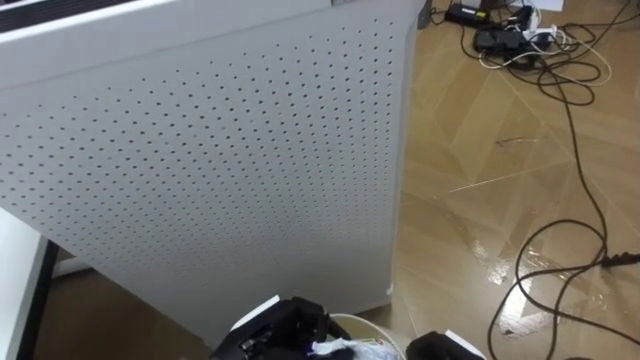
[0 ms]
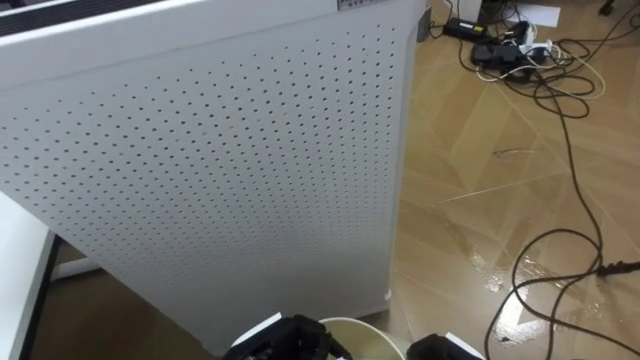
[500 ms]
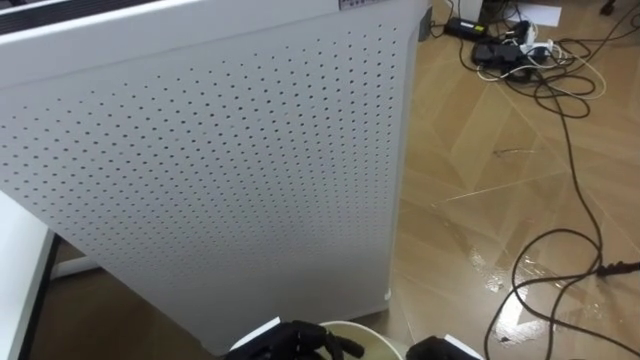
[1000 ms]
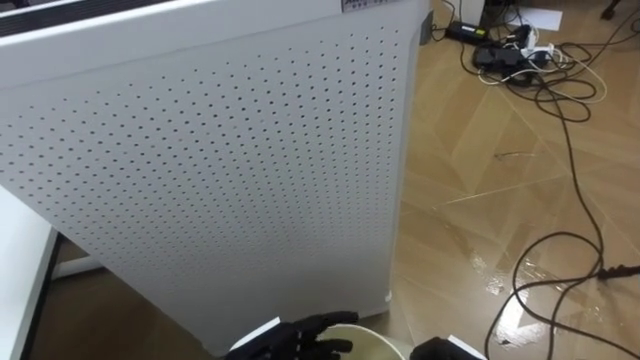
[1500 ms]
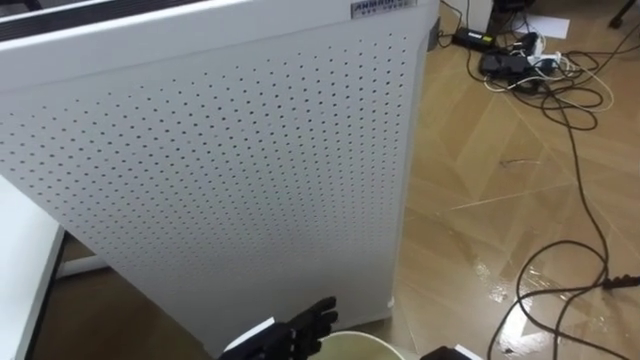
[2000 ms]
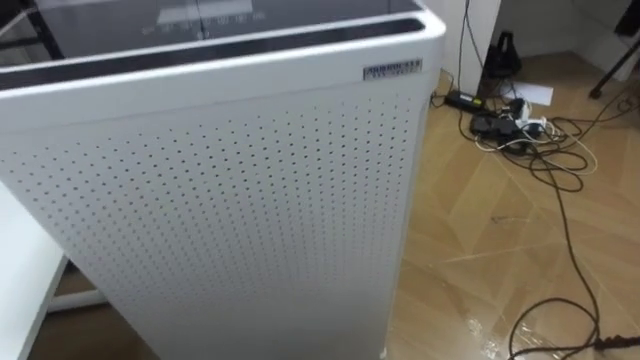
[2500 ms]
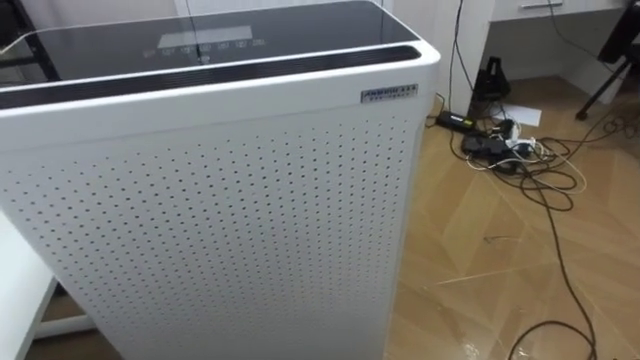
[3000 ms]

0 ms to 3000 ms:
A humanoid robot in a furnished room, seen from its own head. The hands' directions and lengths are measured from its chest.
Task of the whole recording: Pick up the light blue package, the candy box, and the dark blue package separately, and put them into the trash can held in your right hand.
0 ms to 1500 ms: The left hand opens its fingers.

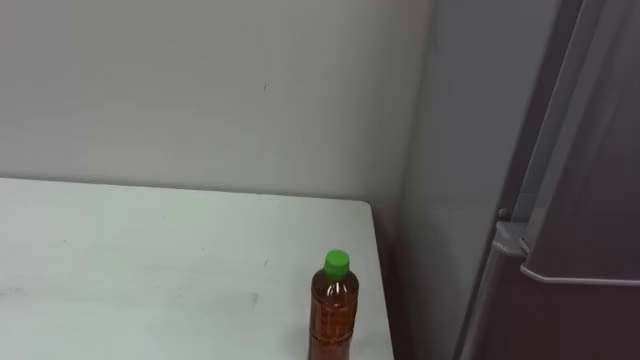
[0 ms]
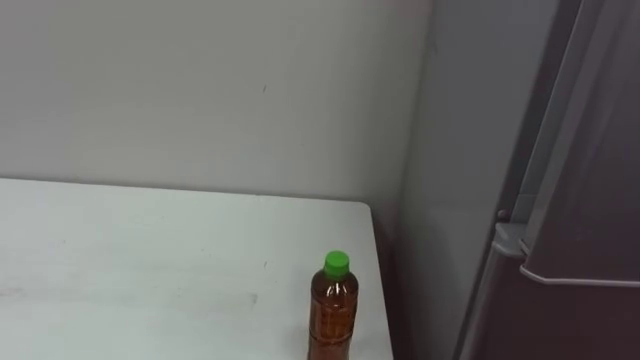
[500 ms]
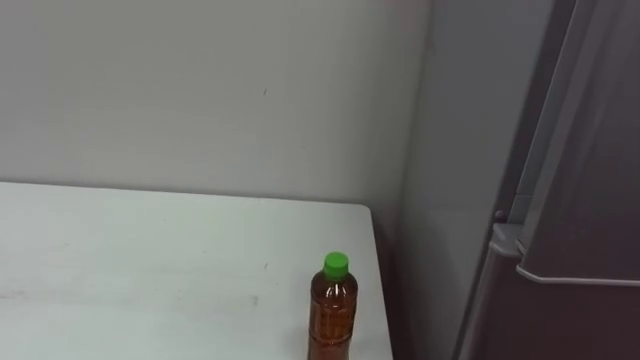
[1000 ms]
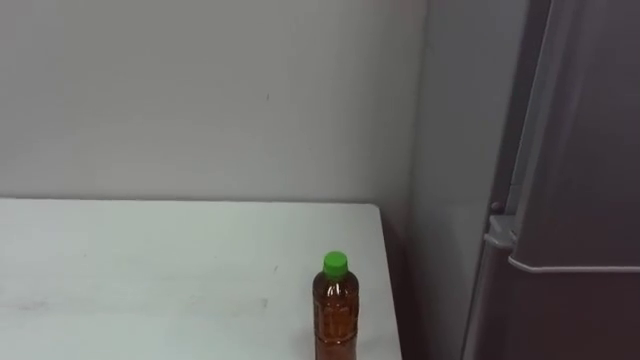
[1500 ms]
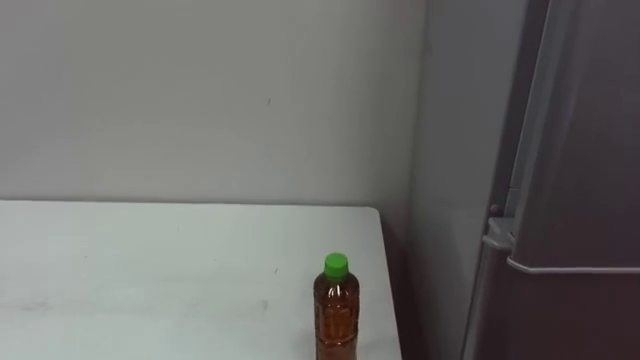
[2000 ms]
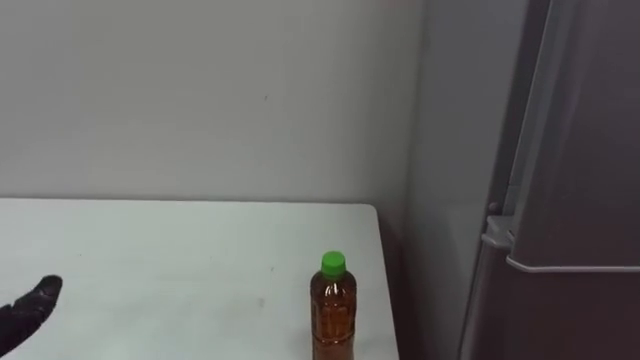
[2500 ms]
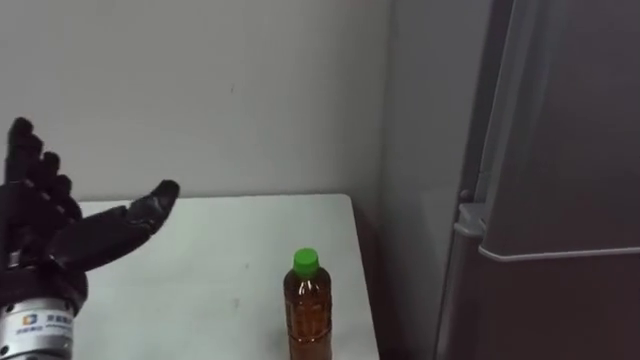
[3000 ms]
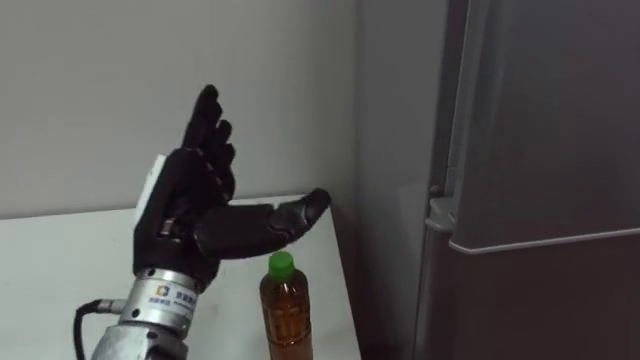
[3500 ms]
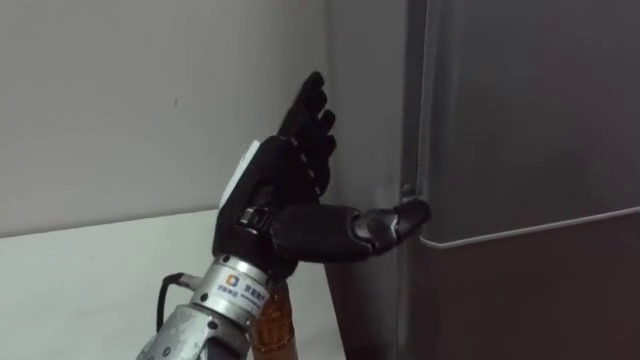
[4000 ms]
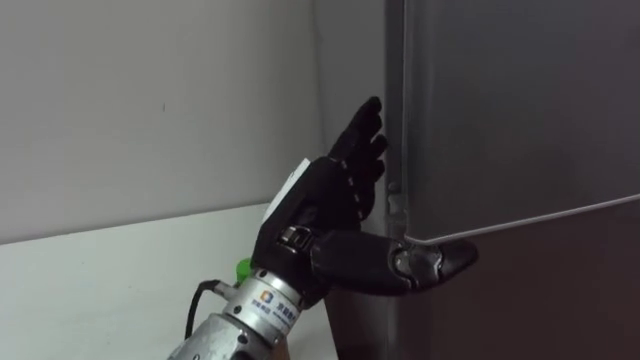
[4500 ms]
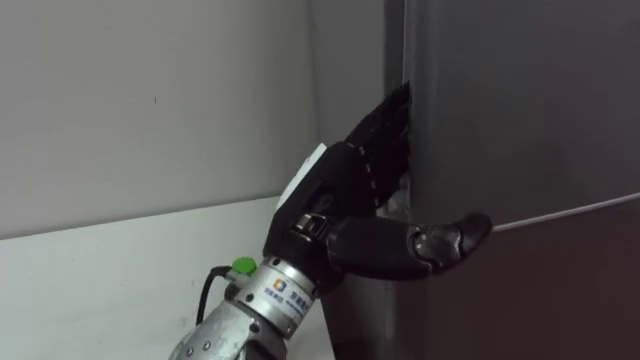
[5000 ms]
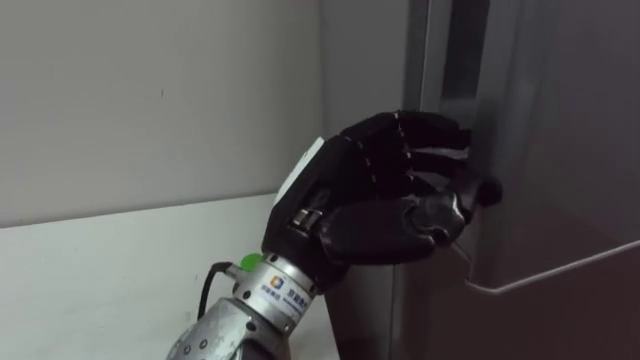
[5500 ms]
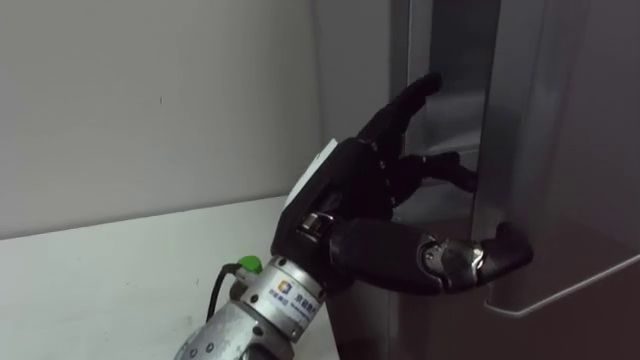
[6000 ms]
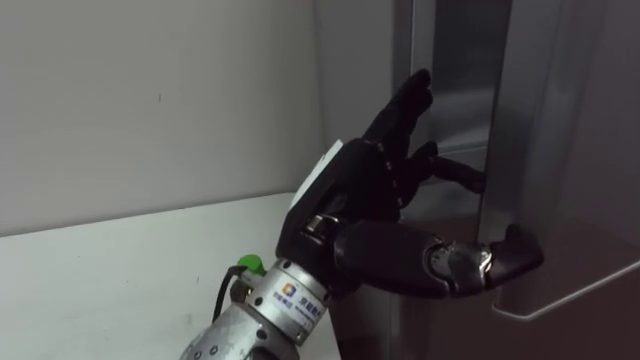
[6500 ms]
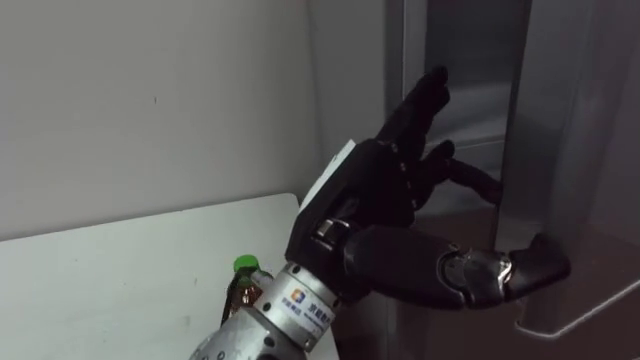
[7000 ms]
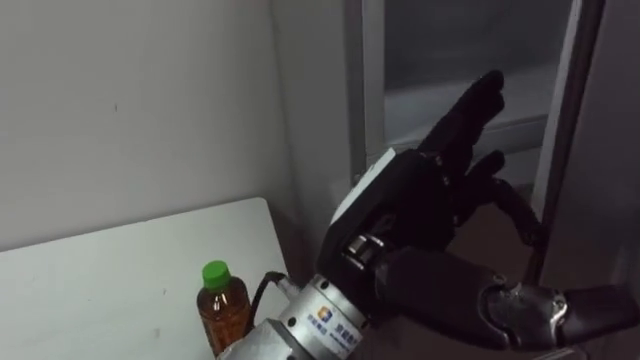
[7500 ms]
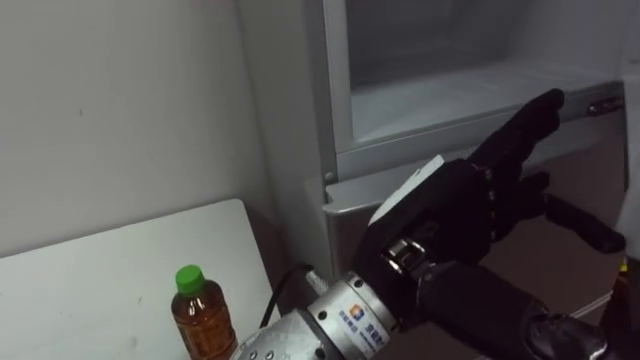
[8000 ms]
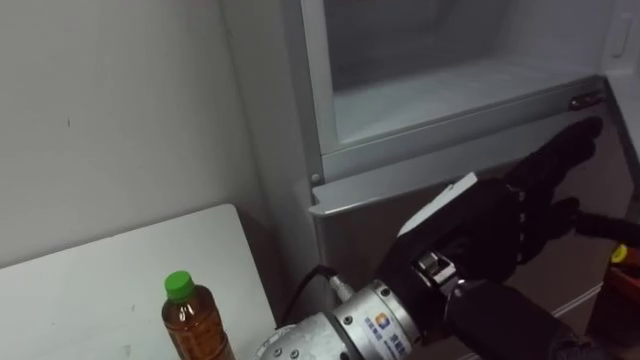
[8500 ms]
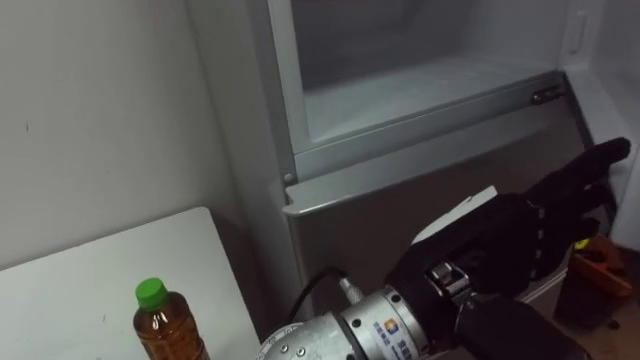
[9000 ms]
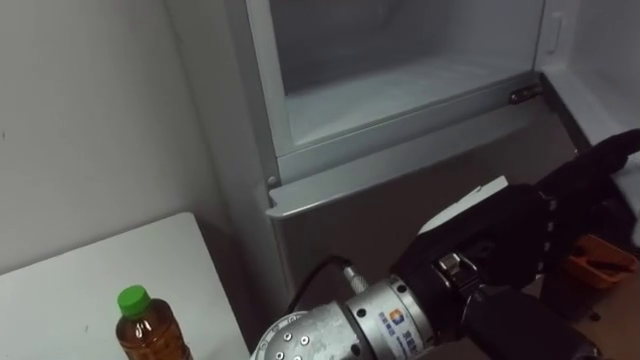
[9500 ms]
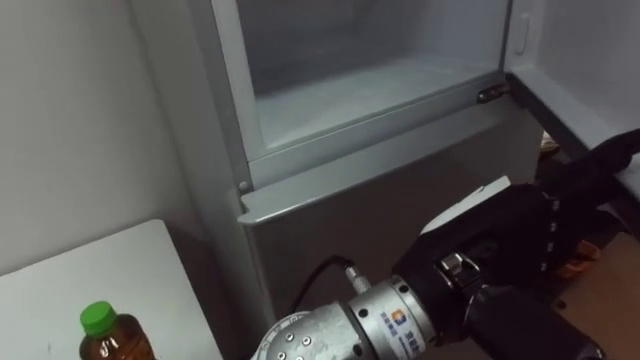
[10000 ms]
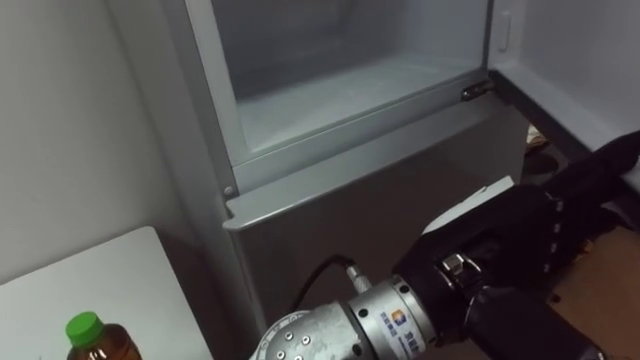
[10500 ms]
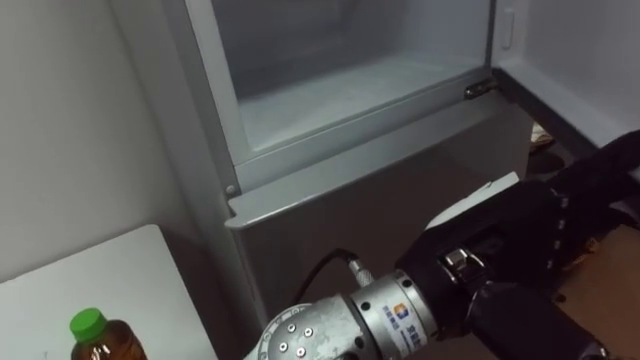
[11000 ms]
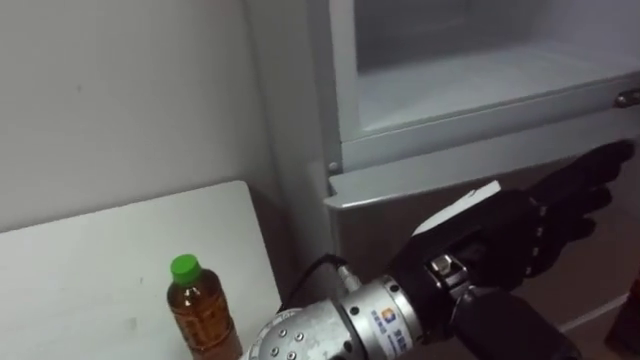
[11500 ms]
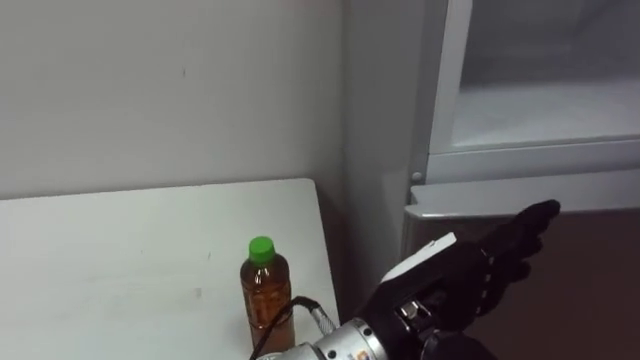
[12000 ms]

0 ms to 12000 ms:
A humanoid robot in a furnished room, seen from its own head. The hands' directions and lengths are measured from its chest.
Task of the whole recording: Open the upper refrigerator door, put the drink from the table into the refrigerator, and then close the refrigerator door.
4000 ms to 6000 ms: The left hand goes some 5 cm to the right, and closes, then reopens.
6000 ms to 8000 ms: The left hand goes some 5 cm to the right.
10000 ms to 12000 ms: The left hand moves downward, approximately 5 cm.

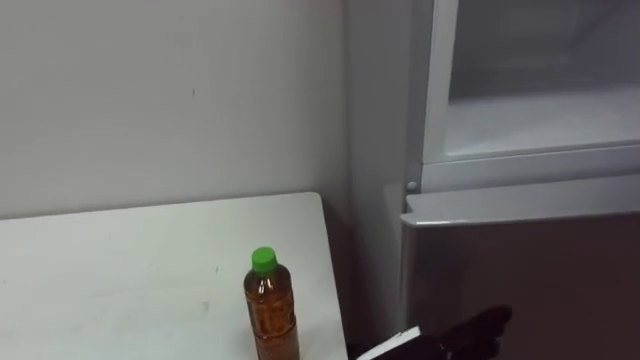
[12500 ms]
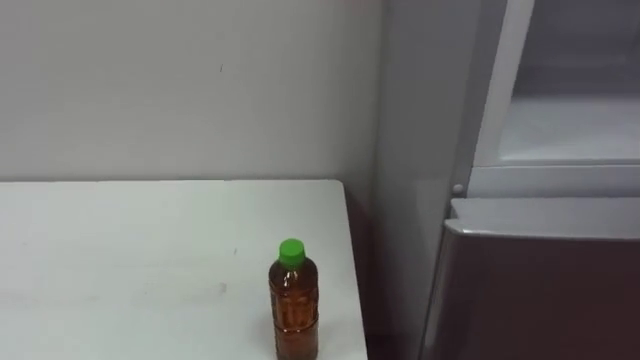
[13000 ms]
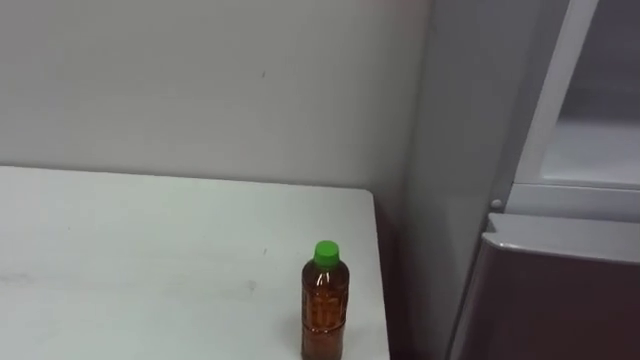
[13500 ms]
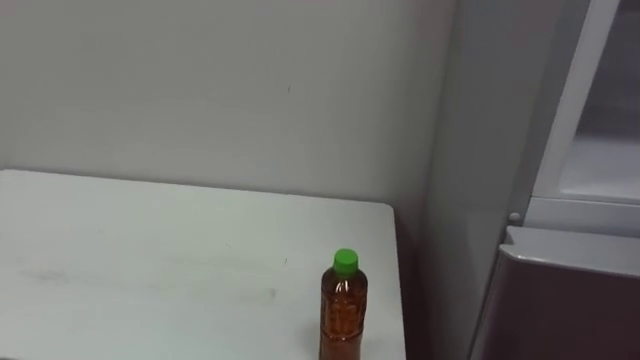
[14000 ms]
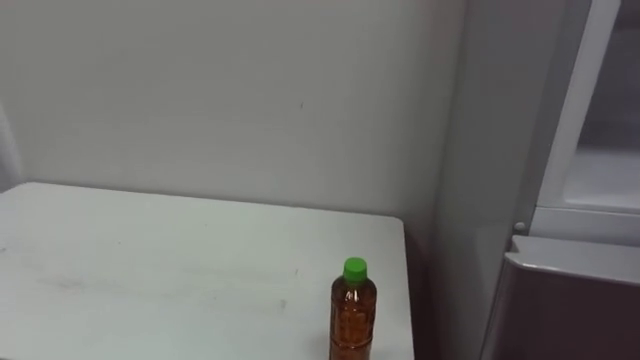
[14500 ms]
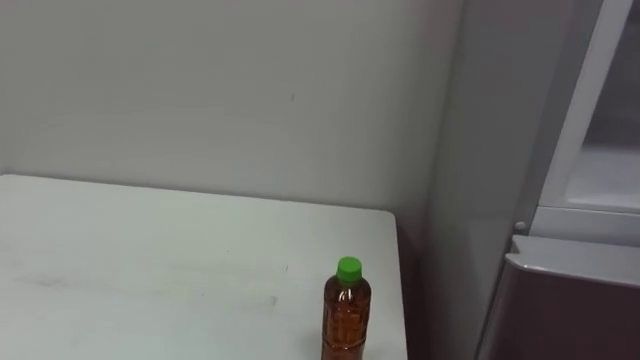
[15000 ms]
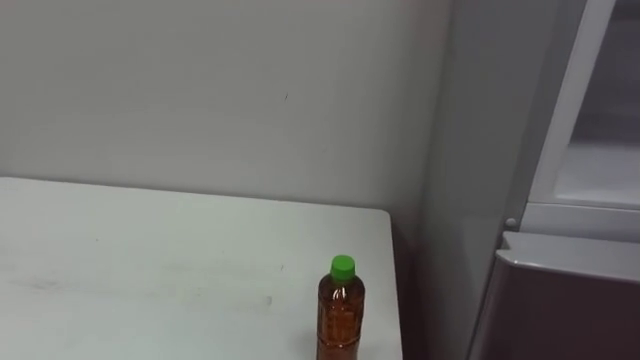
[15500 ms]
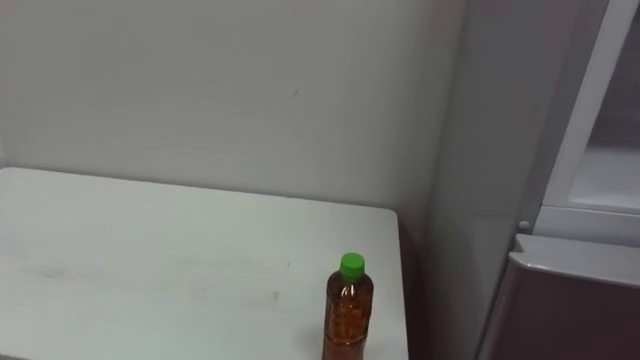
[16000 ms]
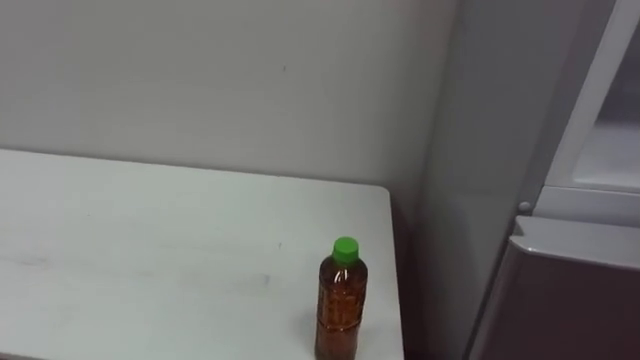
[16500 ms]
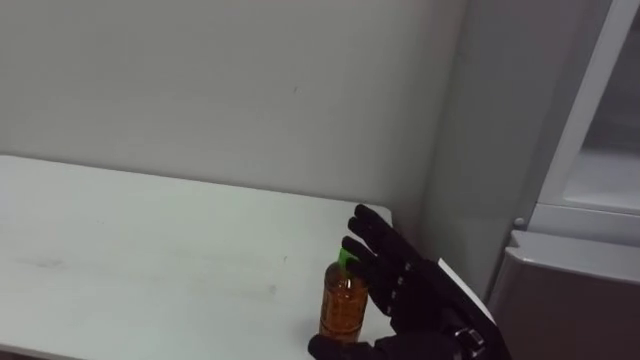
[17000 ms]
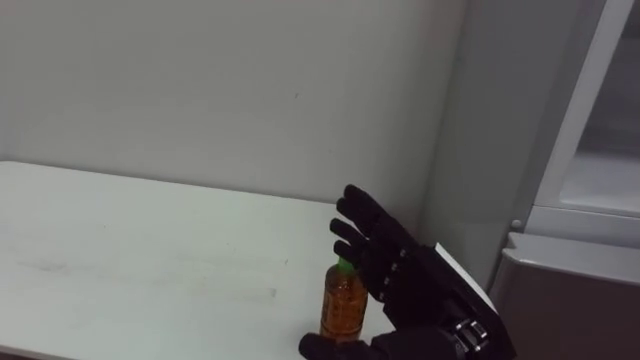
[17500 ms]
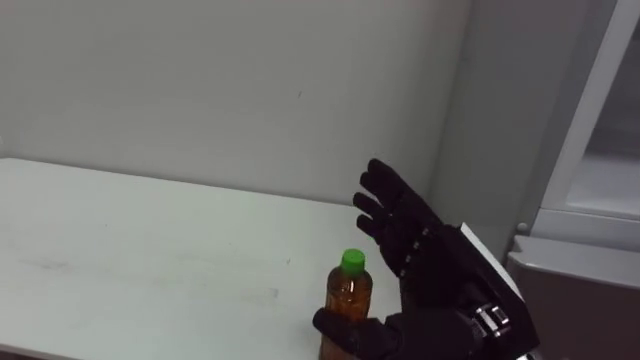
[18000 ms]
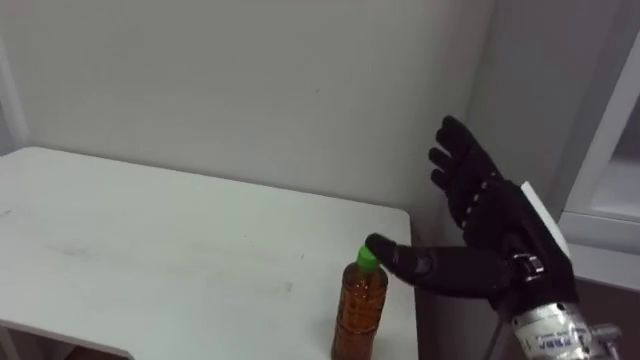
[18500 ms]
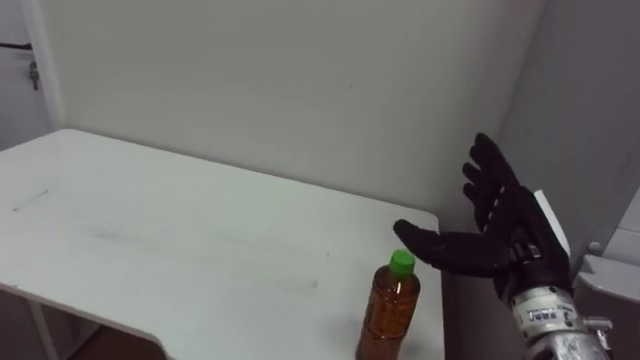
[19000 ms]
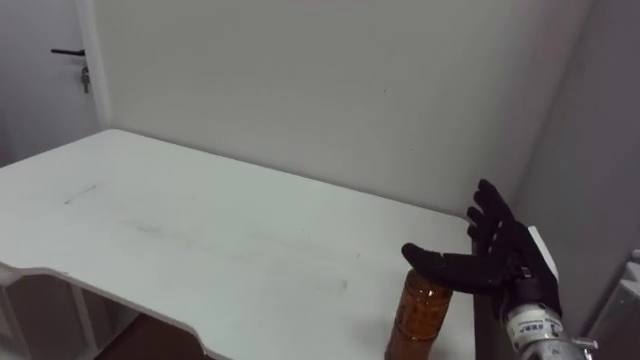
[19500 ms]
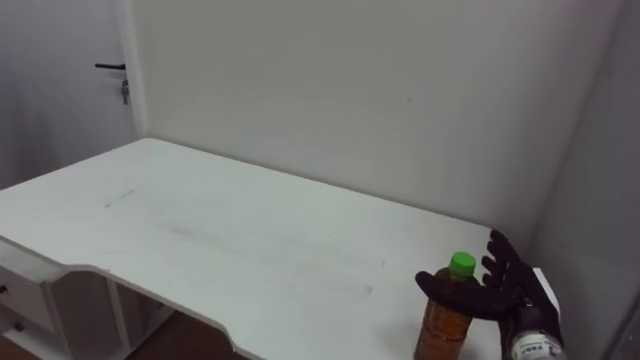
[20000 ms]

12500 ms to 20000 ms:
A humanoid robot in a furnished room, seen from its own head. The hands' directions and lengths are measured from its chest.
Task of the whole recording: Open the upper refrigerator door, put the drink from the table into the refrigerator, and then close the refrigerator door.
18000 ms to 20000 ms: The right hand shifts some 20 cm downward, to the right and forward.
